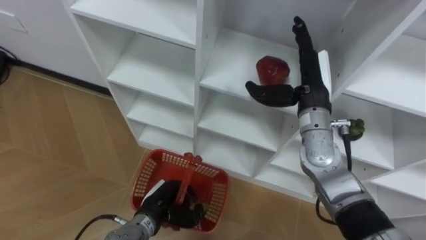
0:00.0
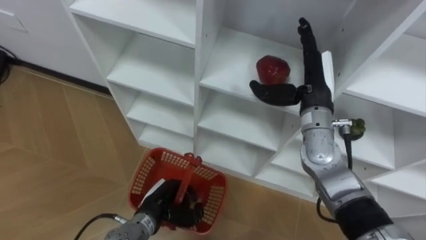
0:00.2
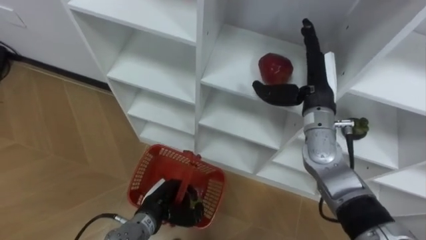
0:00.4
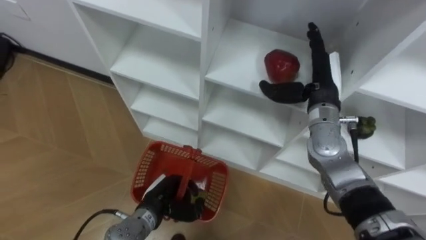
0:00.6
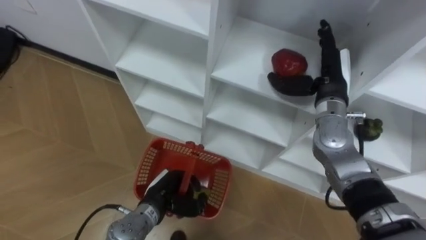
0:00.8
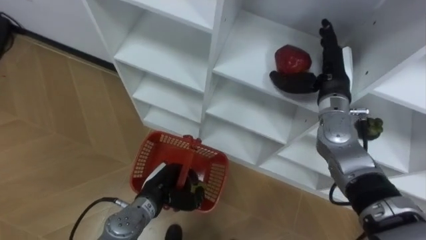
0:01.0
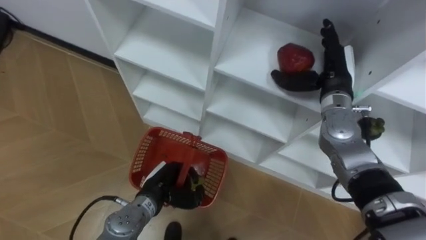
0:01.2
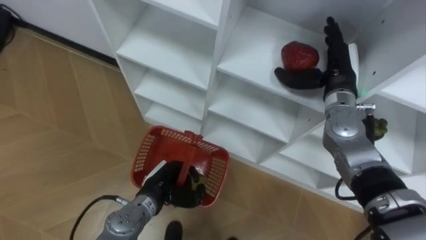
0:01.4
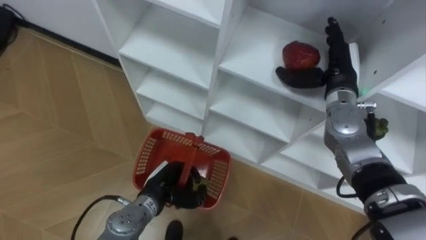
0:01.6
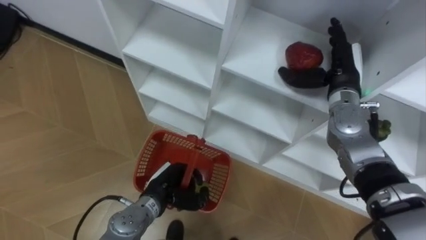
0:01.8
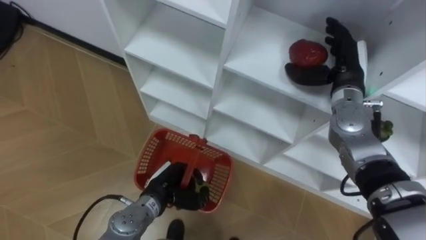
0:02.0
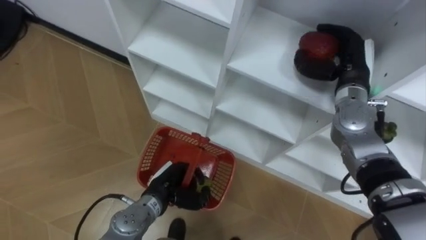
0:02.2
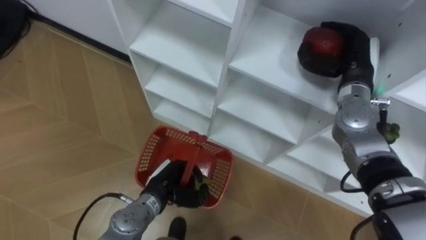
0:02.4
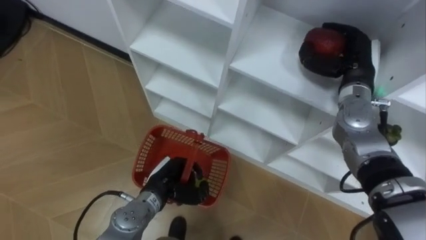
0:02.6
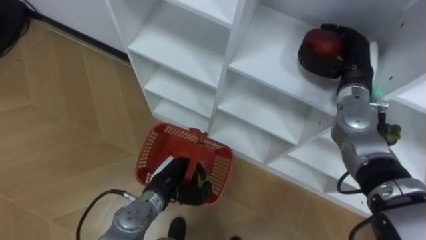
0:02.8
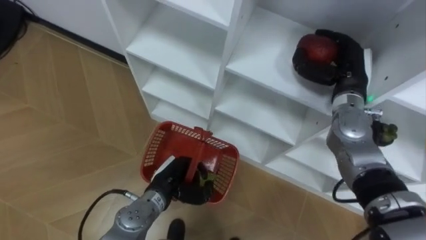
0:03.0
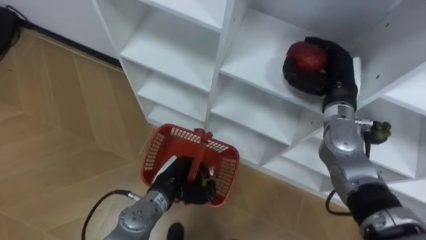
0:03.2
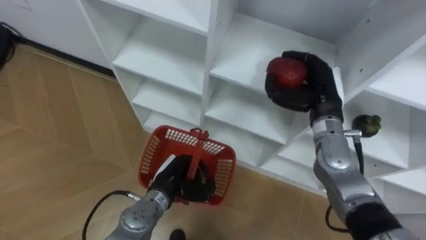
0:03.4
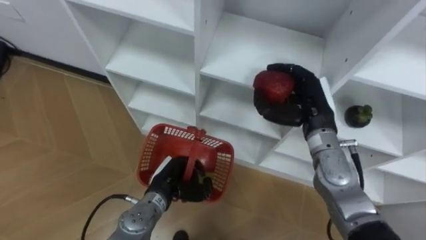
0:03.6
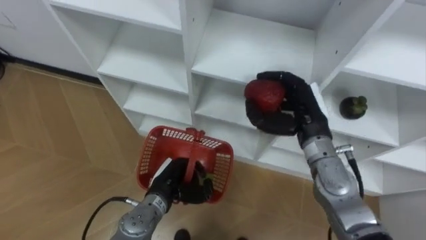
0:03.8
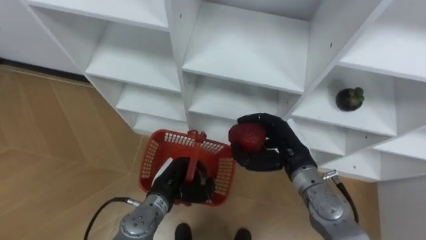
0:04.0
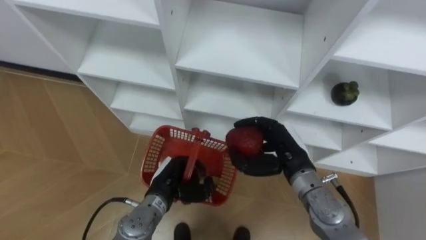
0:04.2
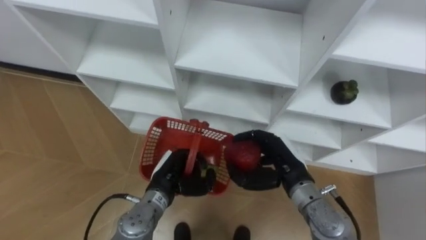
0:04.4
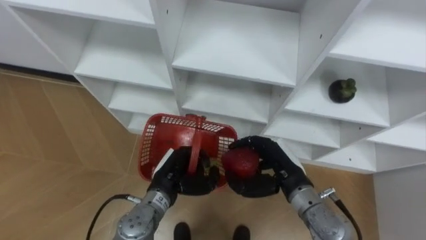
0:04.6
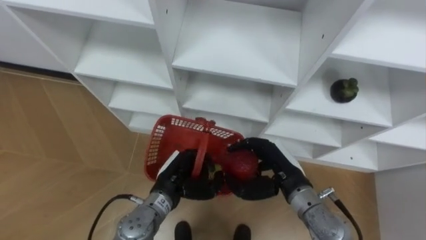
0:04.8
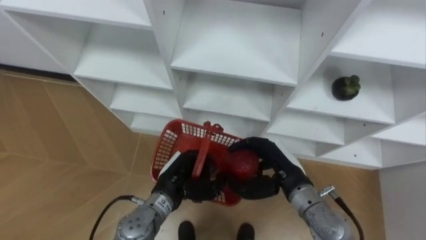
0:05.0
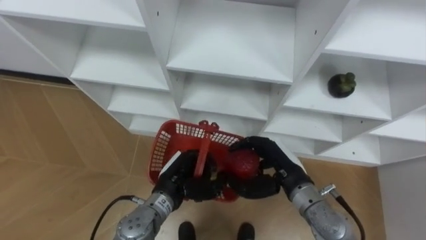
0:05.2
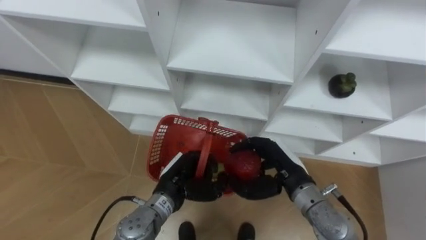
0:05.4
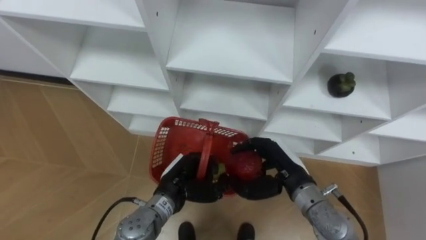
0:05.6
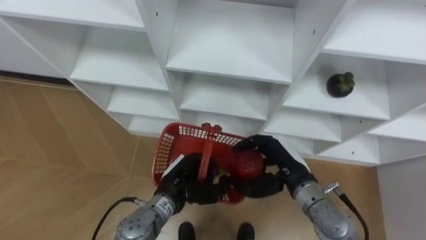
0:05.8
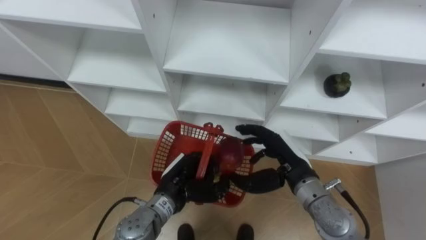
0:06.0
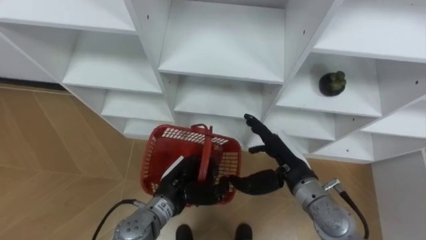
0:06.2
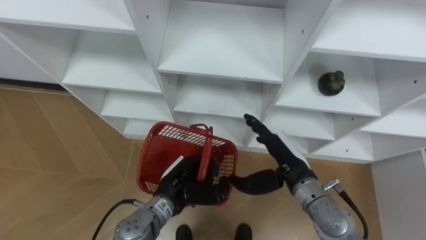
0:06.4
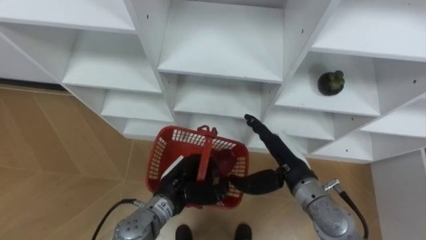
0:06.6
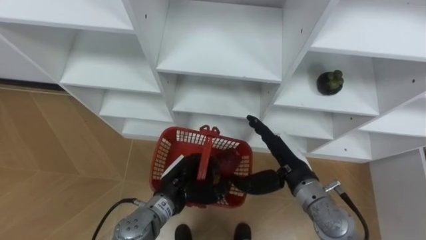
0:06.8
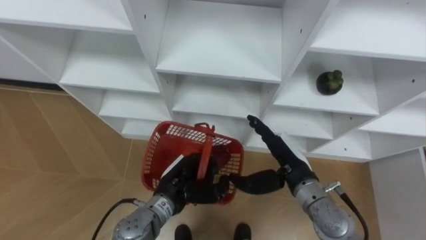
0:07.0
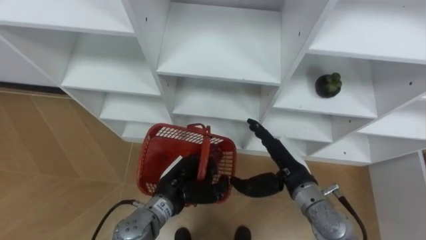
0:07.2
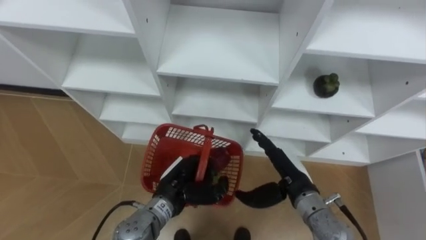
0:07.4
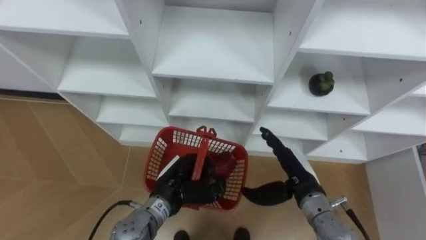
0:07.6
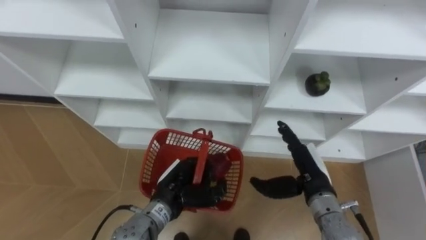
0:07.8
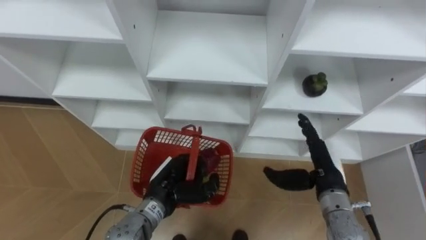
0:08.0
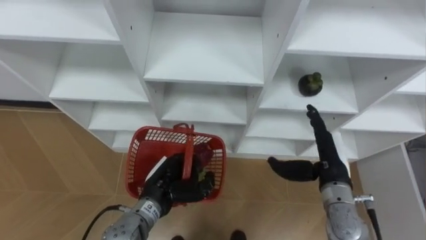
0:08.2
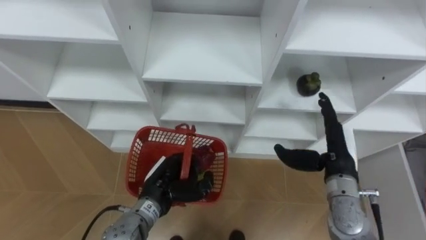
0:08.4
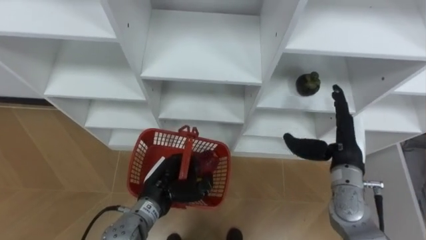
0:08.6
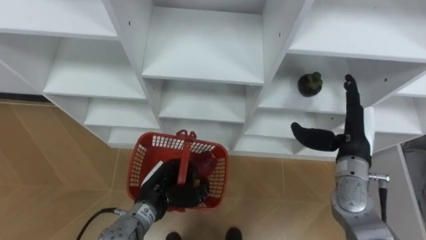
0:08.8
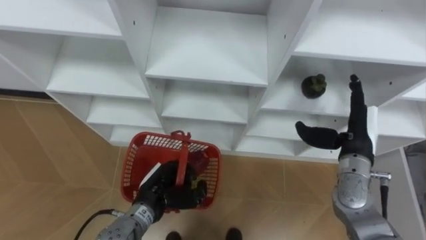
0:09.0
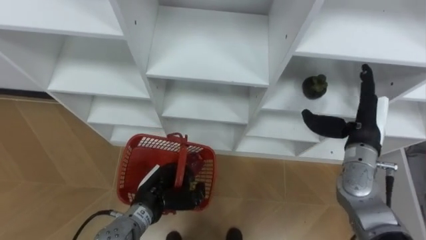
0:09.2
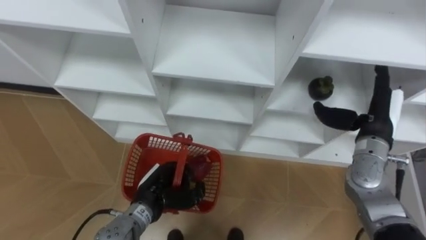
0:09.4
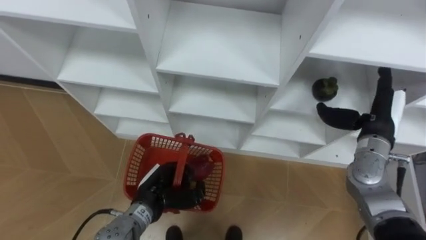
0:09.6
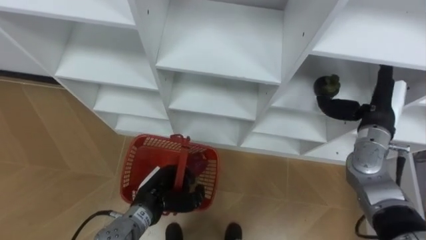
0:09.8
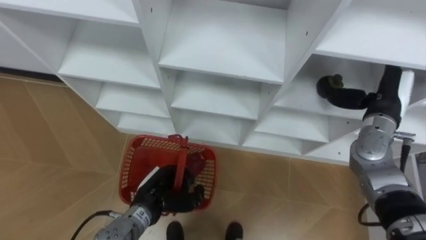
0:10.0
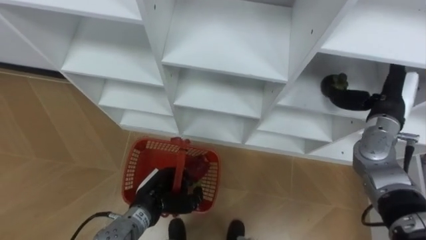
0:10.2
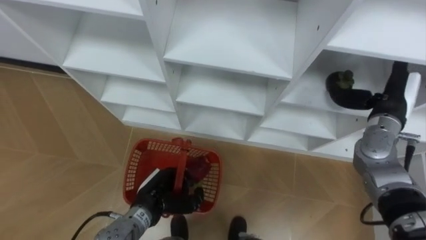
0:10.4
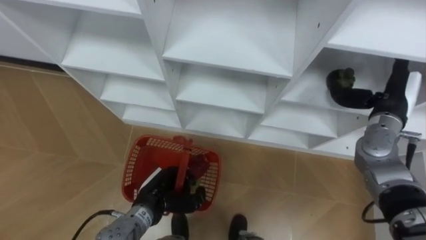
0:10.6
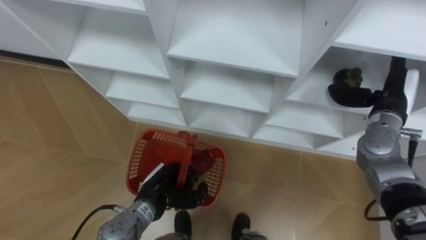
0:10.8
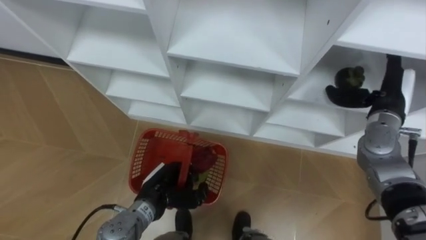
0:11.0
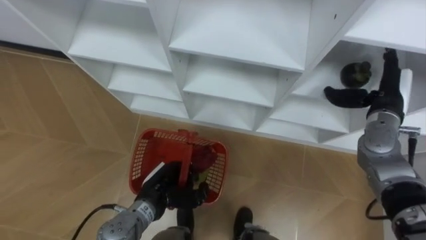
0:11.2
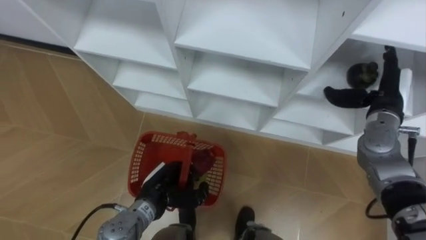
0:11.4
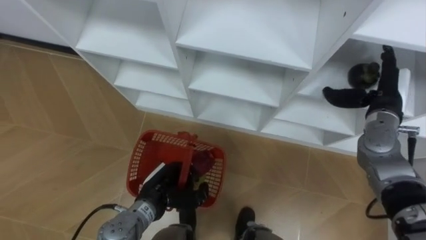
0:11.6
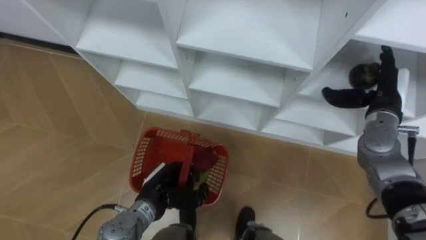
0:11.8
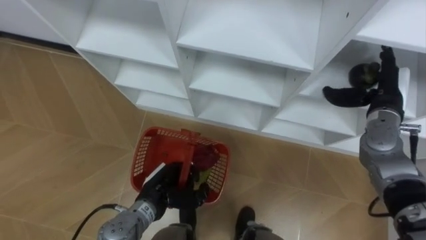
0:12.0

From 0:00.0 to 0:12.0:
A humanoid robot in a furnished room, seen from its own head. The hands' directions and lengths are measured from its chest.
Task of the whole recording: Hold the basket and collect the fruits from 3 different cells of the closet into it.
From 0:00.0 to 0:01.6: The right hand moves to the right, approximately 5 cm.
From 0:01.6 to 0:03.0: The right hand closes its fingers.
From 0:03.0 to 0:04.4: The right hand heads backward, to the left and downward, covering about 20 cm.
From 0:07.6 to 0:09.0: The right hand goes about 15 cm to the right, upward and forward.
From 0:09.0 to 0:10.4: The right hand moves to the right and forward, some 10 cm.

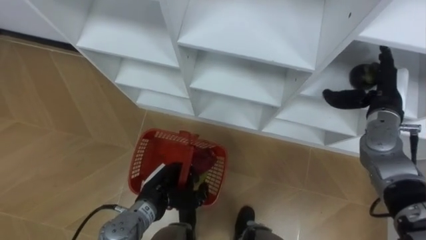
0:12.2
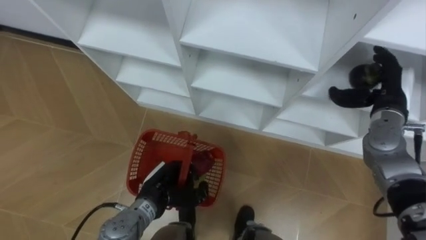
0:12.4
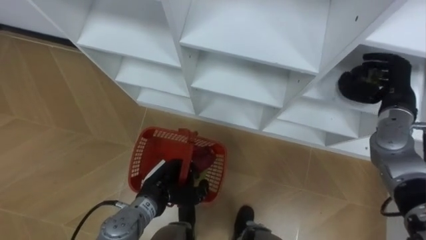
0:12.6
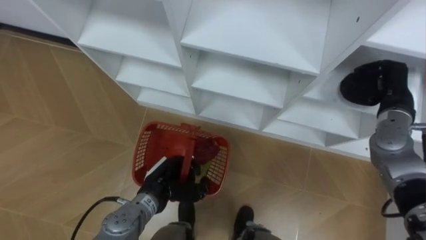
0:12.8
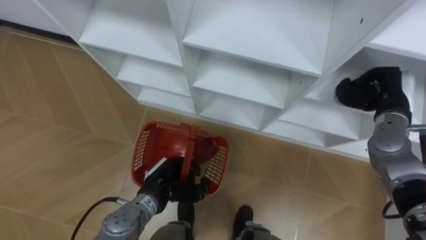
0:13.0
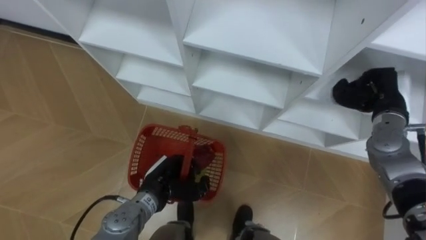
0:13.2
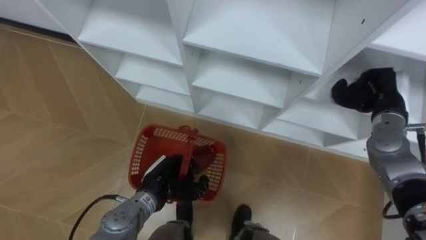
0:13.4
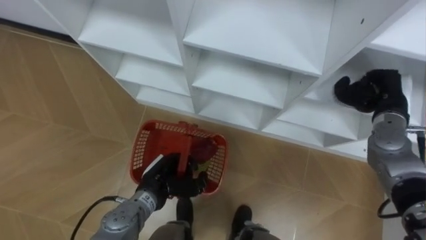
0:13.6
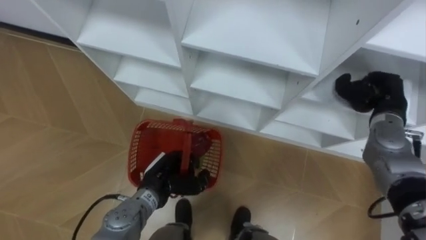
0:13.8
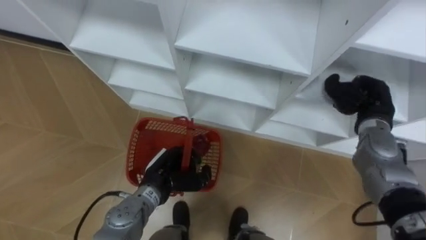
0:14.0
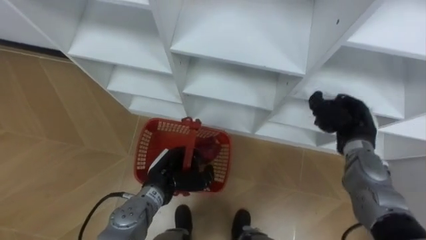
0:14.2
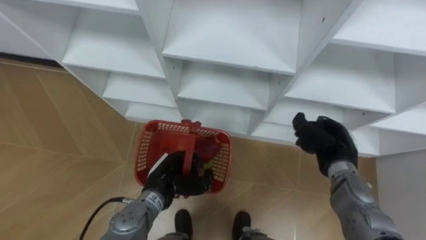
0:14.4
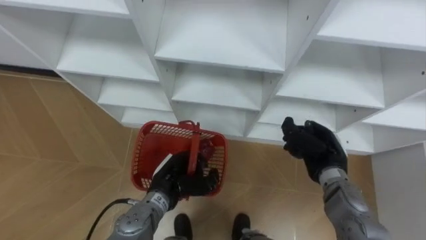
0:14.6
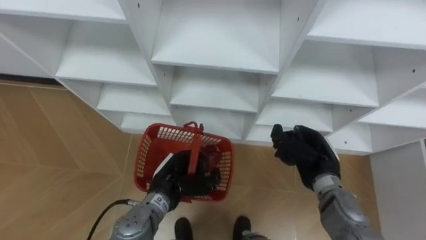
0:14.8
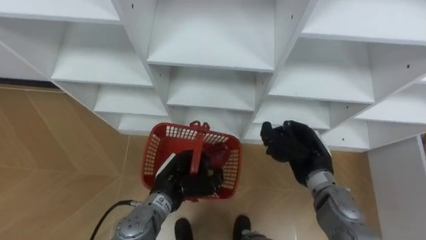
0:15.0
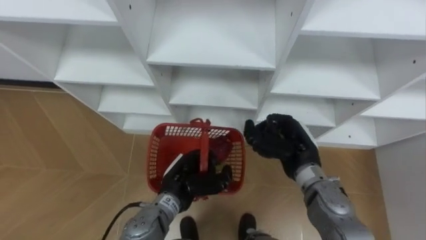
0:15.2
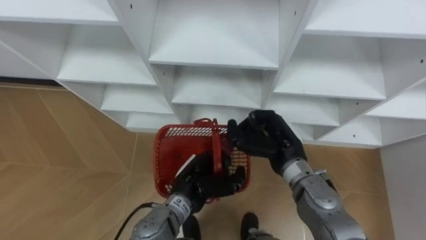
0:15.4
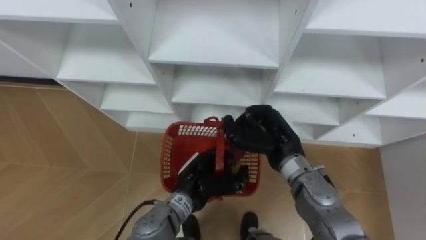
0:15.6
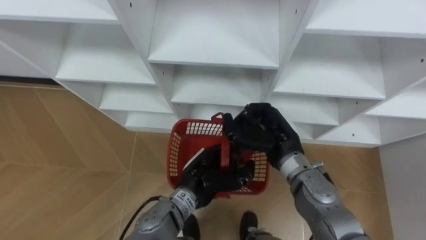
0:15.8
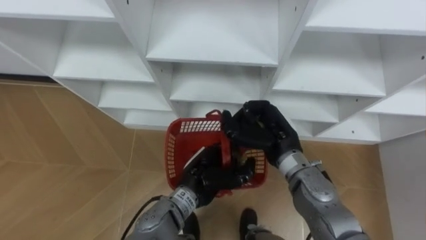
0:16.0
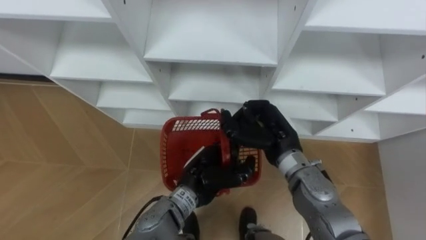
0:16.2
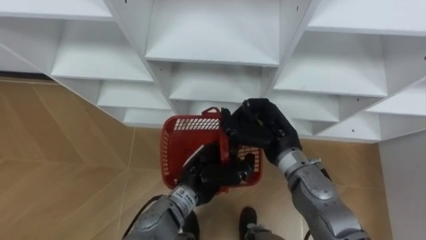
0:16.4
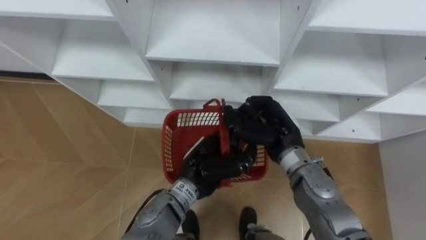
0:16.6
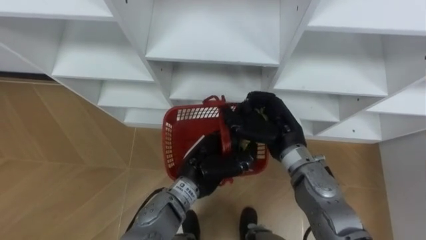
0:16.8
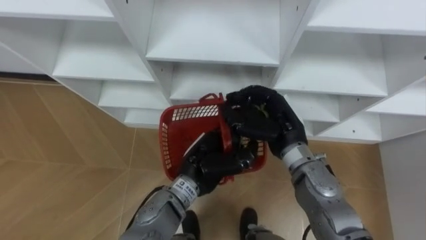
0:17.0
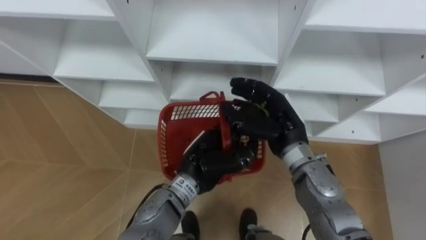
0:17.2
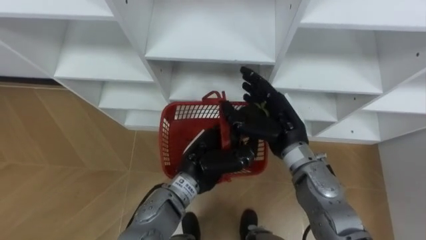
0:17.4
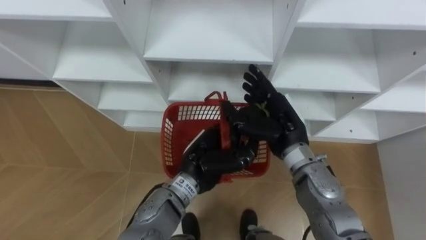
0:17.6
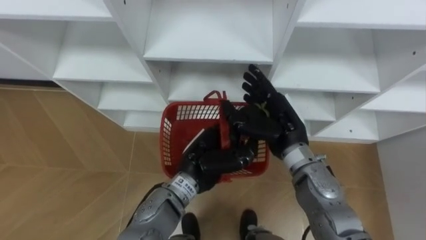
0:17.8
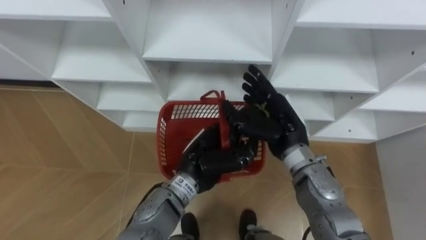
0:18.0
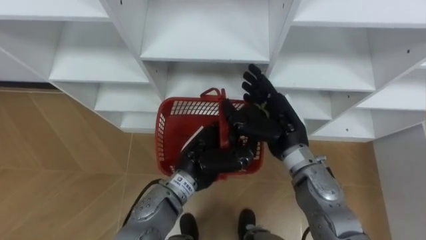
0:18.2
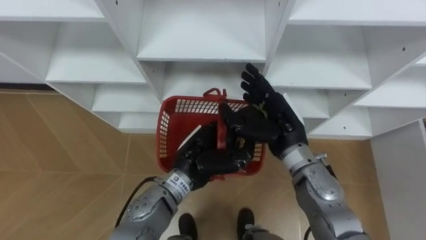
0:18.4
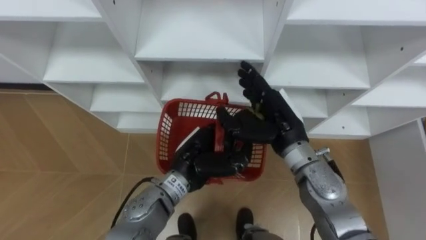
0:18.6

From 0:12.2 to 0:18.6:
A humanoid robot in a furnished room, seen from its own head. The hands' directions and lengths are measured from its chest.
Task of the whole recording: Hold the basket and collect the fruits from 3 different cells of the closet into it.
From 0:12.2 to 0:13.8: The right hand closes up.
From 0:13.8 to 0:15.4: The right hand shifts roughly 20 cm to the left. The left hand moves to the right, about 5 cm.
From 0:15.4 to 0:17.0: The left hand heads upward, covering approximately 5 cm. Meanwhile the right hand opens up.
From 0:17.0 to 0:18.6: The right hand opens up.
